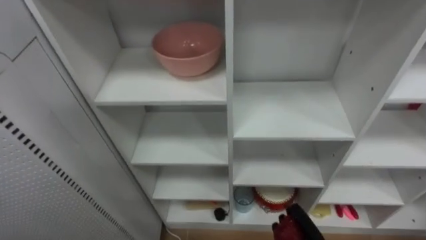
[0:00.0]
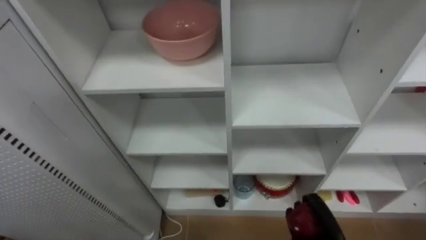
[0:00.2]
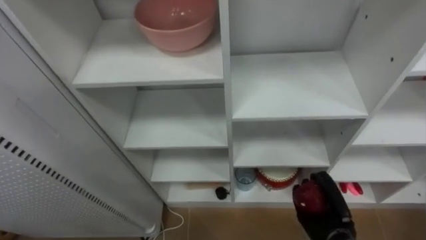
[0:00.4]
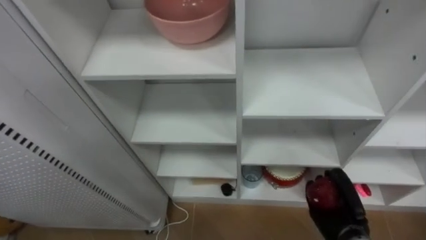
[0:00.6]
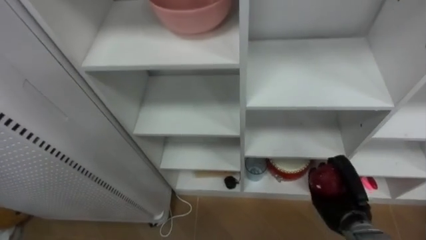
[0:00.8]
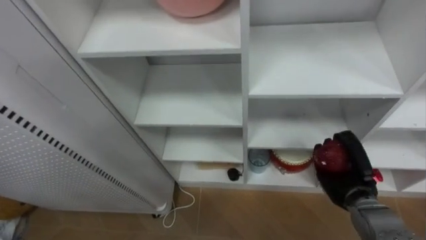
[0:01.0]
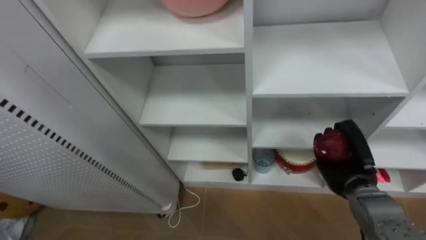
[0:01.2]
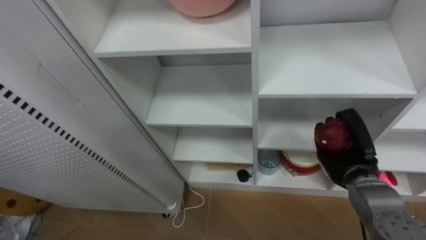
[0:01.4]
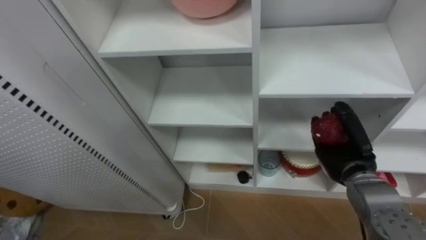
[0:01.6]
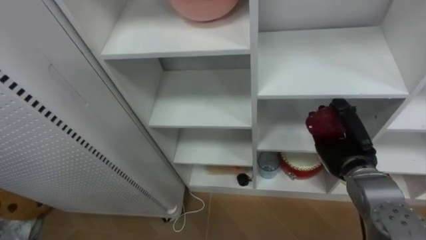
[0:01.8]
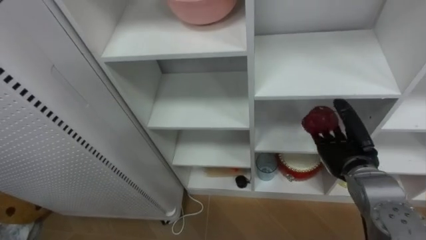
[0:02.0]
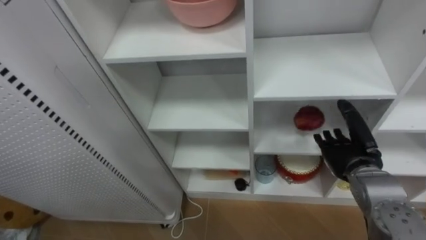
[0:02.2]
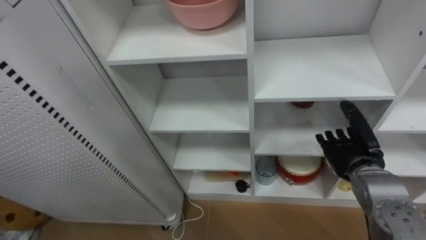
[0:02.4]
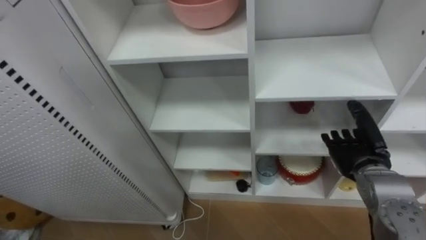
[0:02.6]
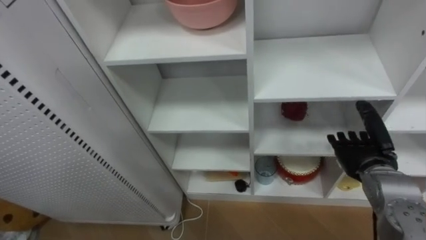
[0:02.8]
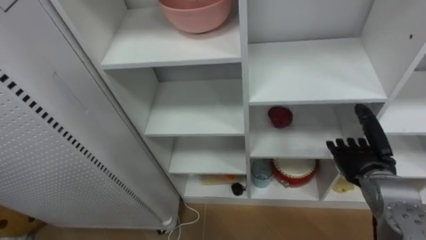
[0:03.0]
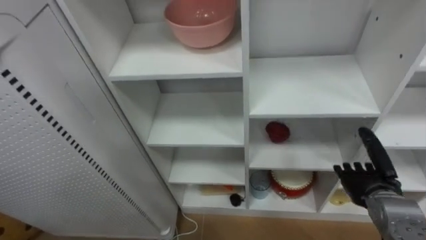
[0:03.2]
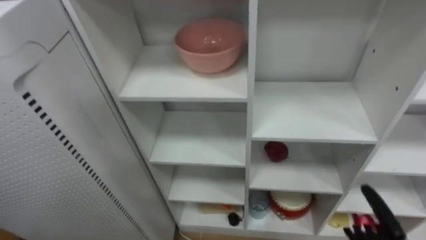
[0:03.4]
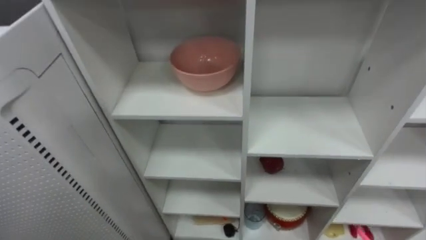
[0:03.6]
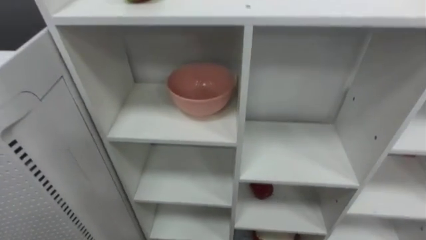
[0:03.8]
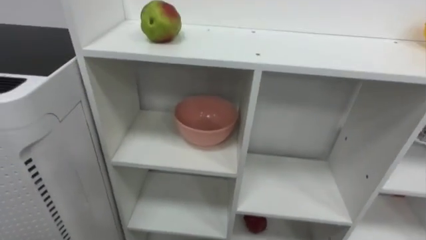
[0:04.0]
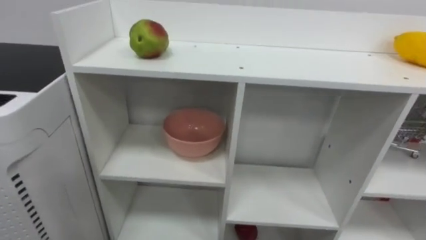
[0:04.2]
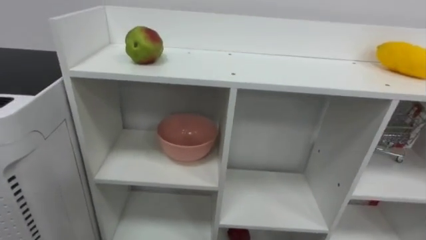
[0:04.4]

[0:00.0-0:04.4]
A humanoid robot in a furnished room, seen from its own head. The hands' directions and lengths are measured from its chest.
Task of the whole recording: Put the apple in the cell in the second column from the left and the second row from the top.
0:01.4 to 0:03.0: The right hand opens.

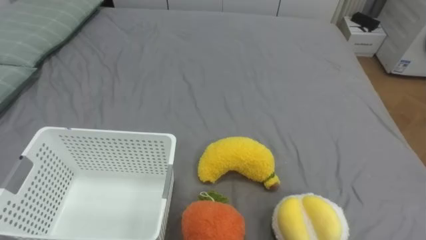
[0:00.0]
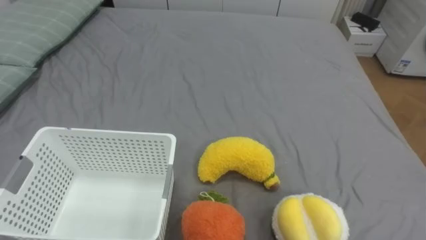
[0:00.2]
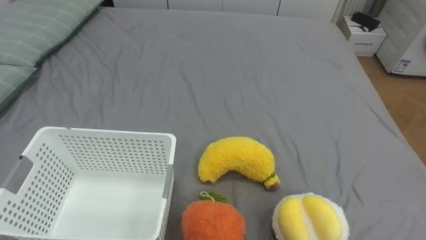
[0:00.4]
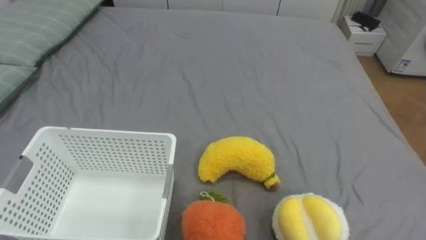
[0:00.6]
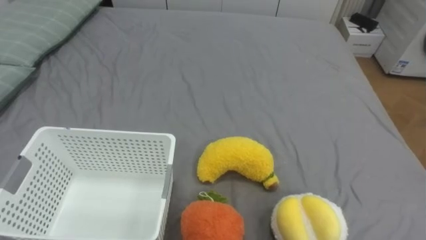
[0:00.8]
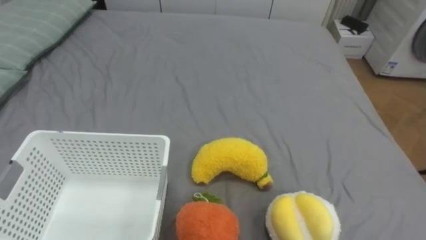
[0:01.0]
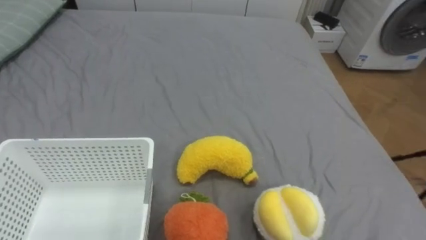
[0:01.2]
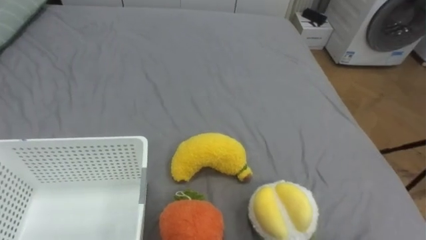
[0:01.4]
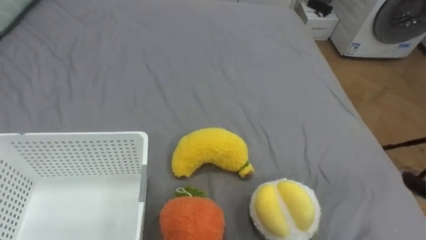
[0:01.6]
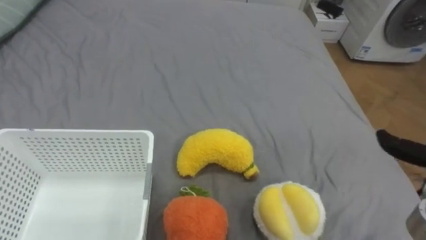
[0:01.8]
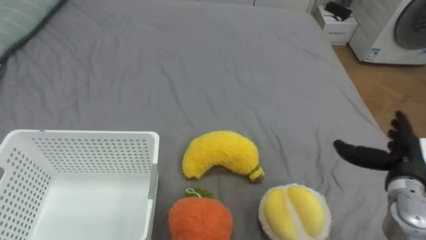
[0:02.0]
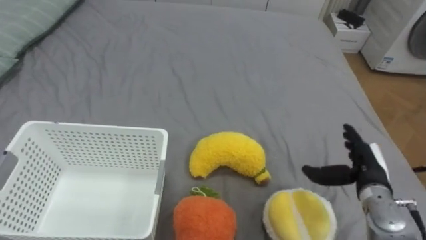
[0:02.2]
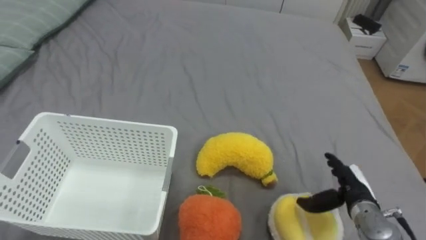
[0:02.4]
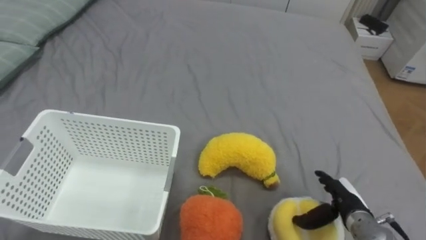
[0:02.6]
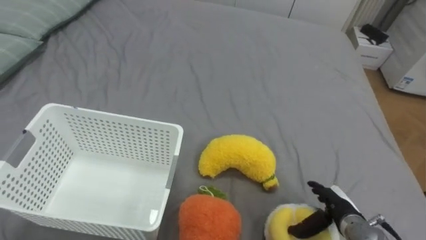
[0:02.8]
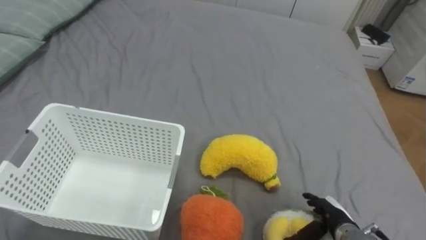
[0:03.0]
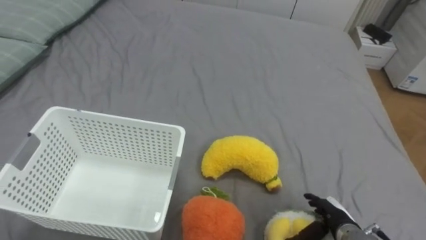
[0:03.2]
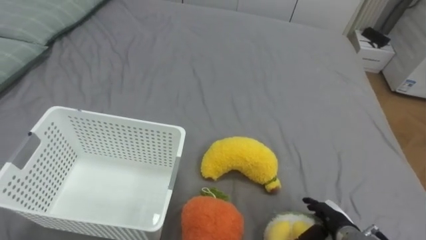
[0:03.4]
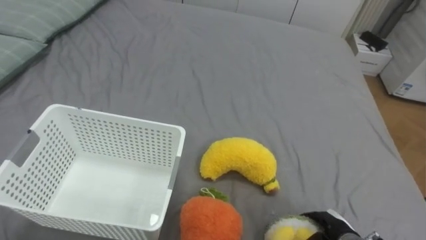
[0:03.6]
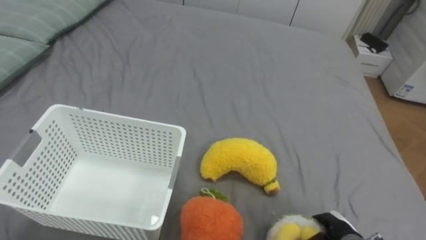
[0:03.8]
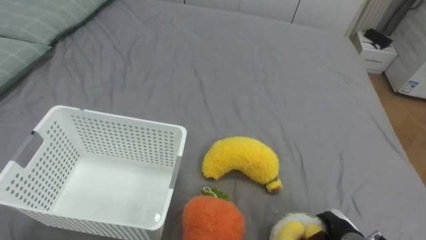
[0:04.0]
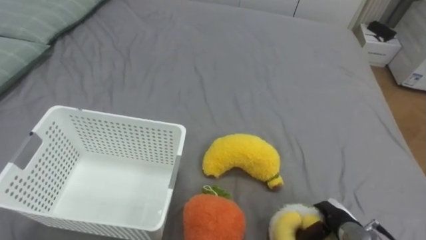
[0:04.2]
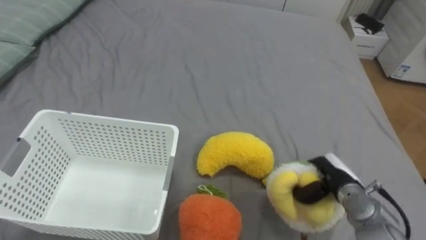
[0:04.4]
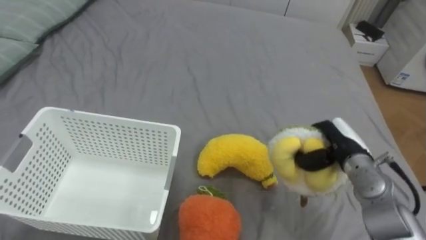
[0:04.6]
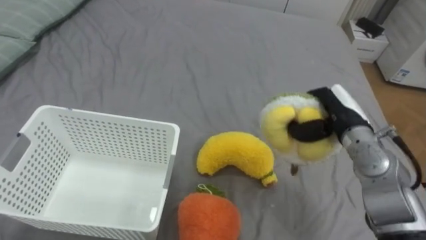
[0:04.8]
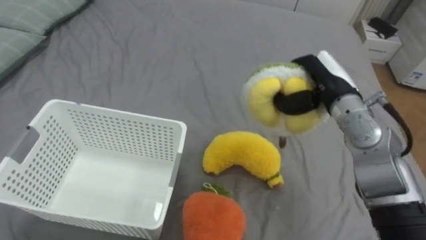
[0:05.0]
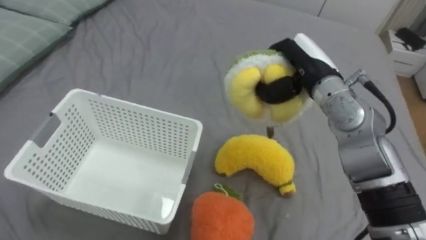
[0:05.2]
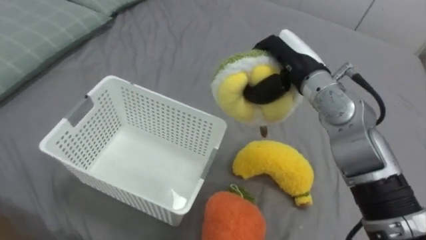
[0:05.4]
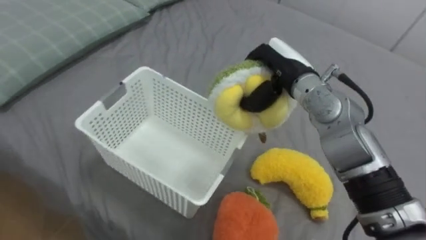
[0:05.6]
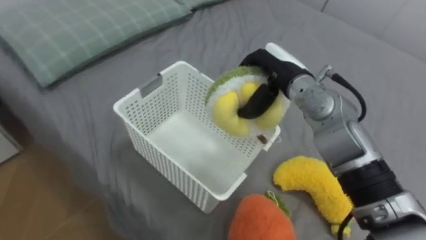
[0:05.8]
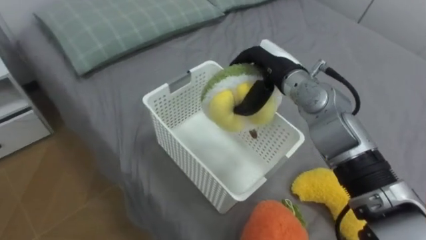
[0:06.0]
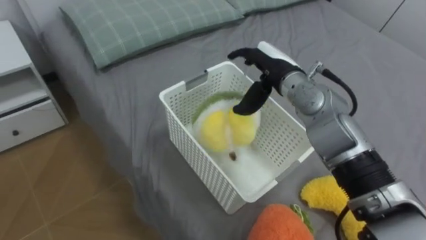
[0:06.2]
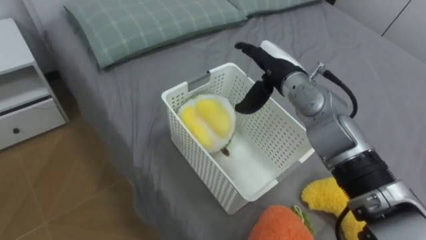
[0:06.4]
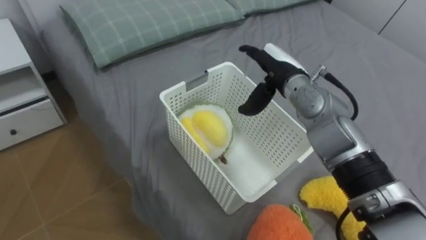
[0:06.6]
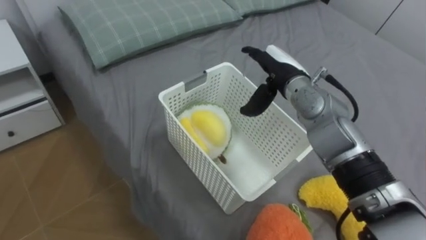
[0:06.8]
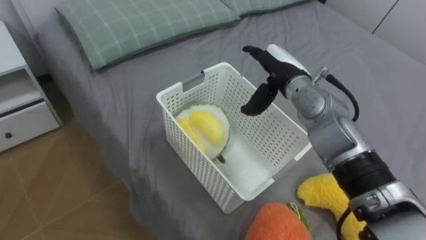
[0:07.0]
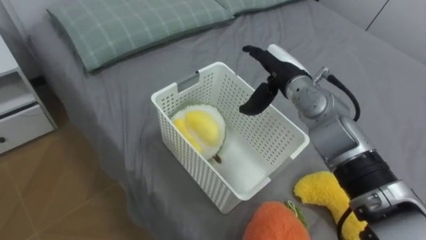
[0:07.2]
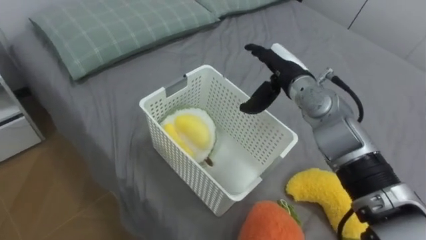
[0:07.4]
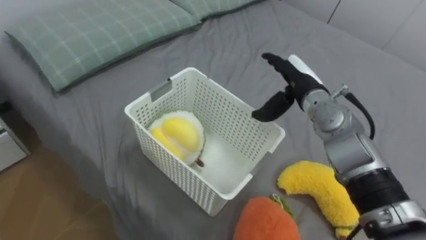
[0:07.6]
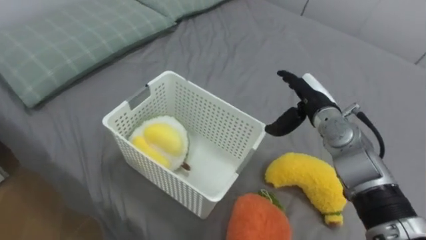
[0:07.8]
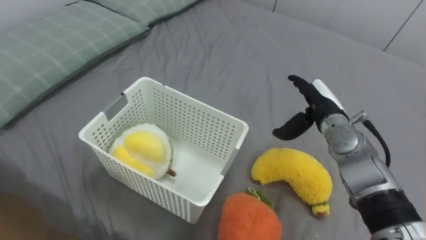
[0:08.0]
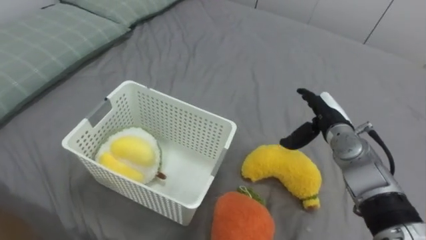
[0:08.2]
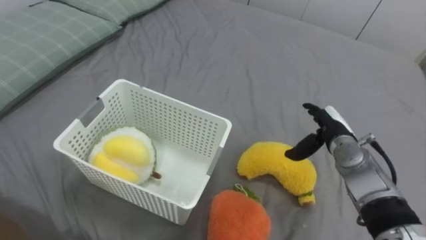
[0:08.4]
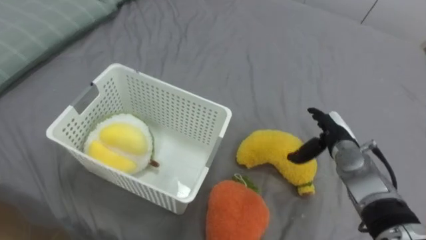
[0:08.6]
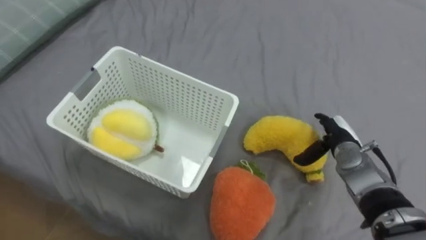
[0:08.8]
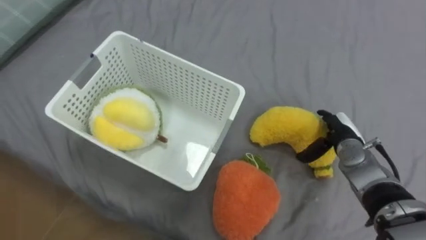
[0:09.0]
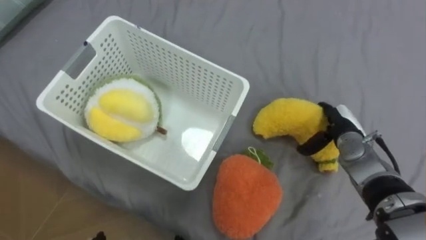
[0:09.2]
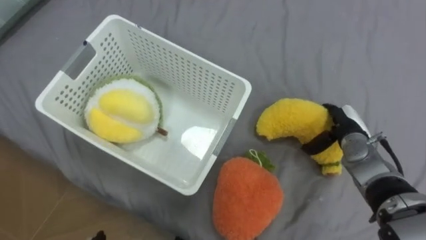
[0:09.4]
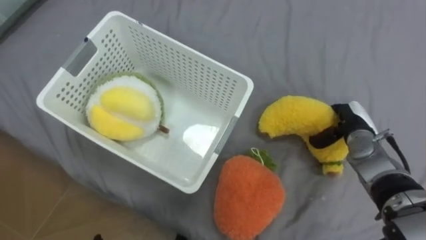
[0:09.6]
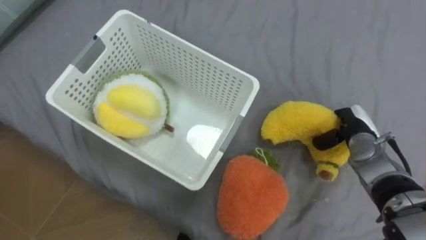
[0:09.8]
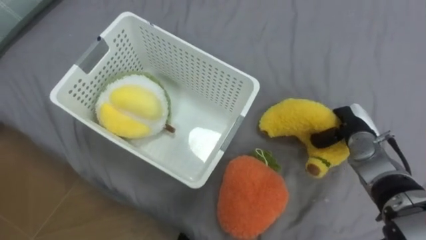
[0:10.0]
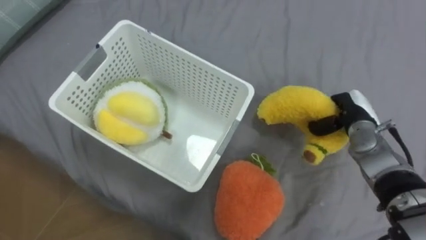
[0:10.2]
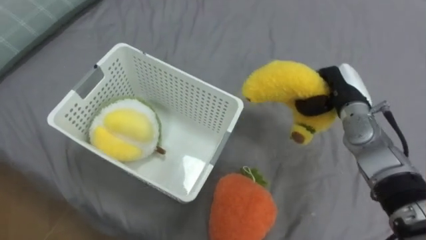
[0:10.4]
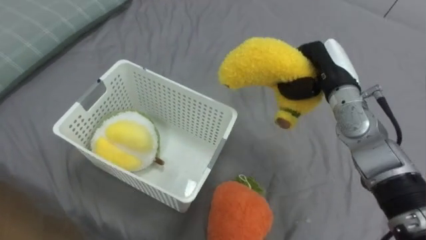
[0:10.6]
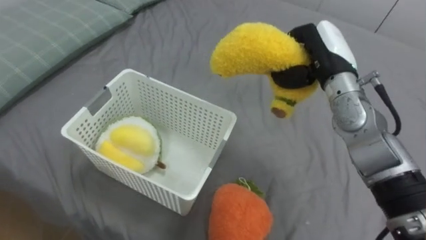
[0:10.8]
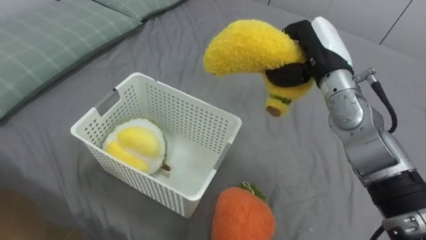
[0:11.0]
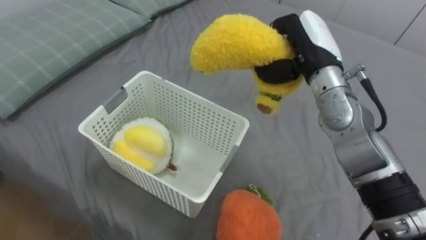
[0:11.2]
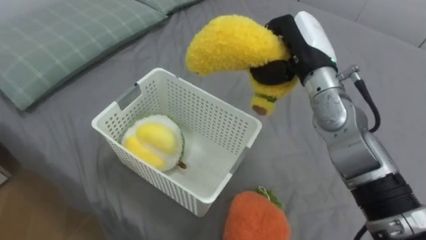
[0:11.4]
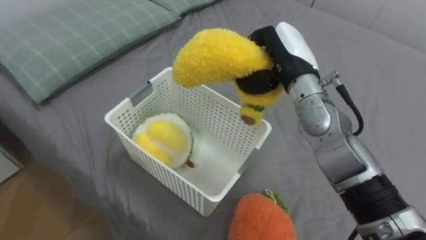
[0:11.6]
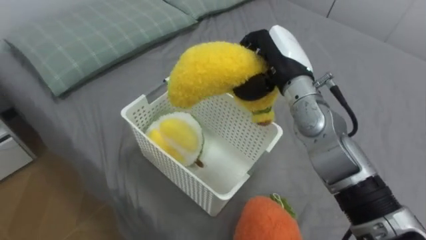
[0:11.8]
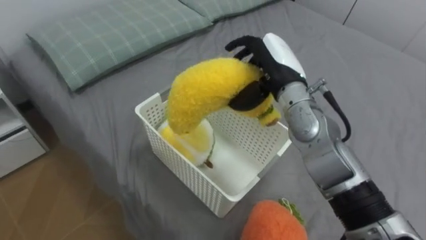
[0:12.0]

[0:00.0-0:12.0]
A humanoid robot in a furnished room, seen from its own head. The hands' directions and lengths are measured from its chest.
Task of the whole recording: Put the toys on the bed into the basket on the left.
0:03.0 to 0:04.4: The right hand goes approximately 5 cm upward and forward, and closes up.
0:04.4 to 0:06.0: The right hand moves upward, to the left and forward, some 30 cm, and opens.
0:06.0 to 0:07.6: The right hand changes place by some 5 cm.
0:07.6 to 0:09.0: The right hand moves downward and to the right, some 15 cm.
0:09.0 to 0:10.4: The right hand travels upward by about 10 cm, and closes its fingers.
0:10.4 to 0:12.0: The right hand heads to the left and upward, covering about 15 cm, and opens up.
